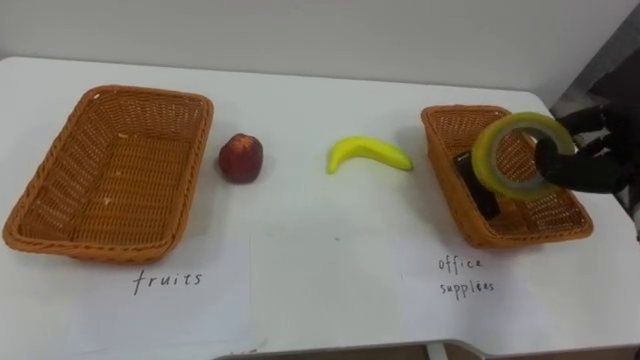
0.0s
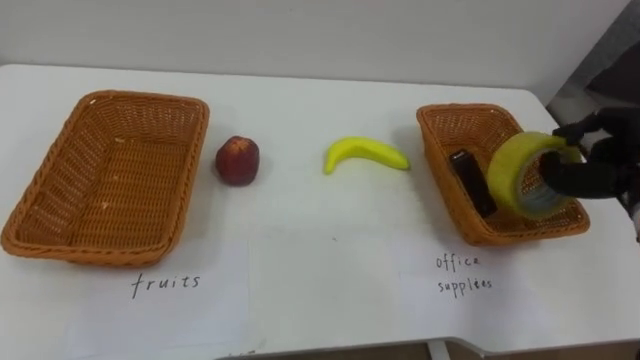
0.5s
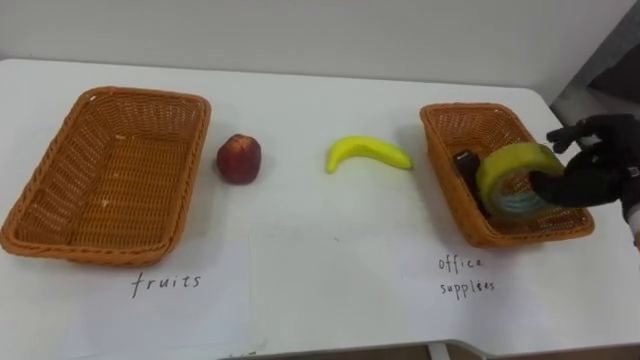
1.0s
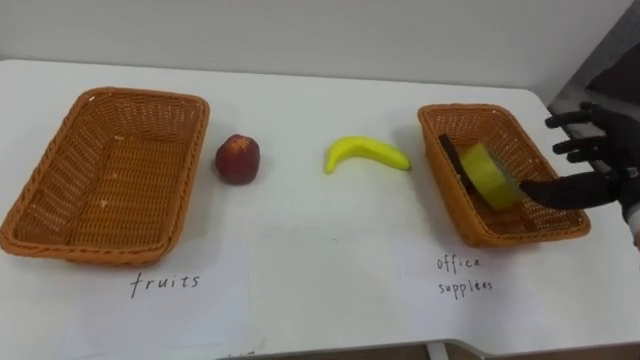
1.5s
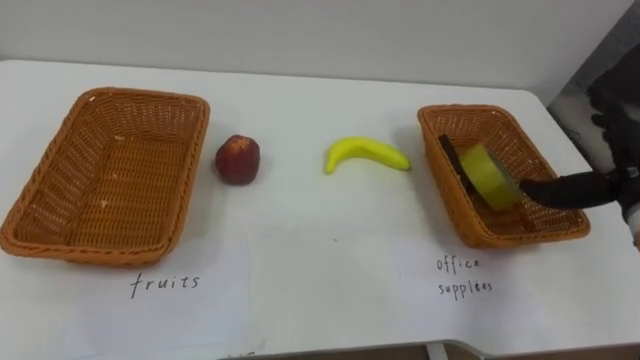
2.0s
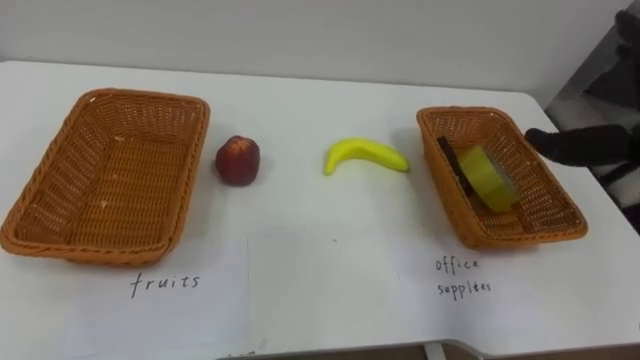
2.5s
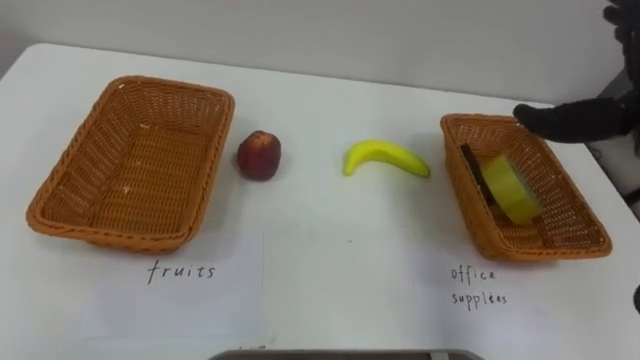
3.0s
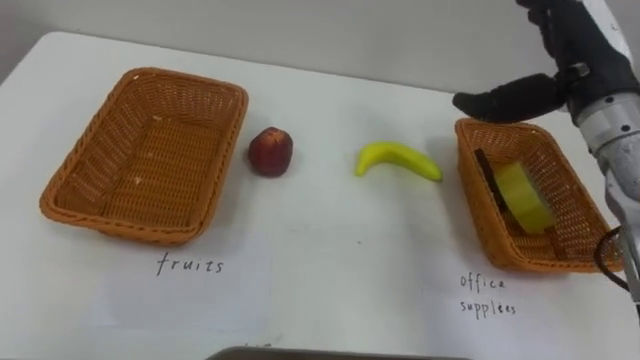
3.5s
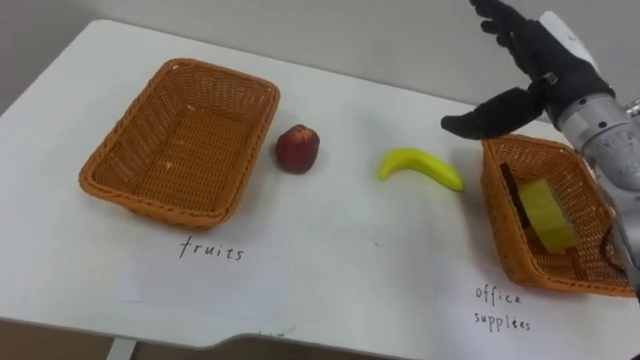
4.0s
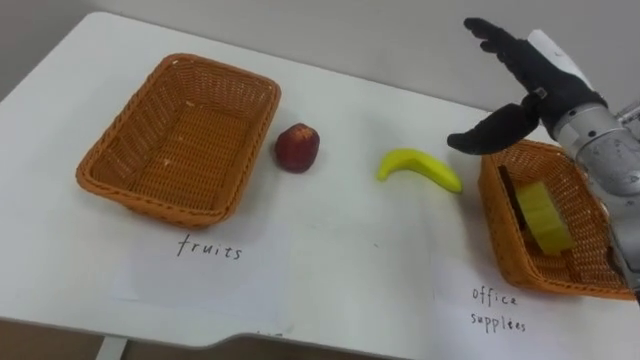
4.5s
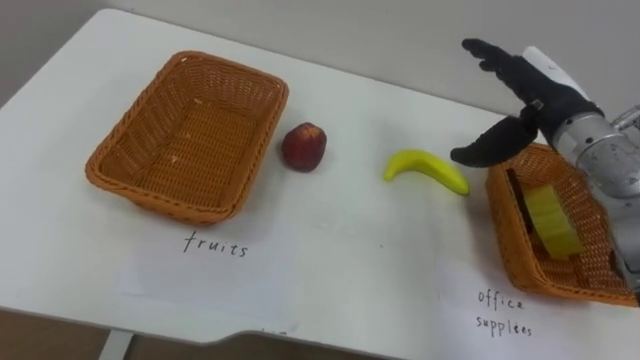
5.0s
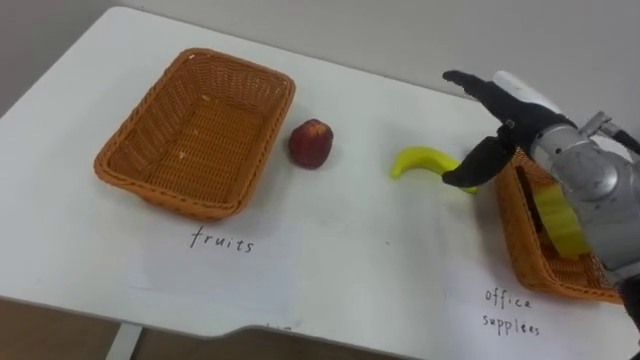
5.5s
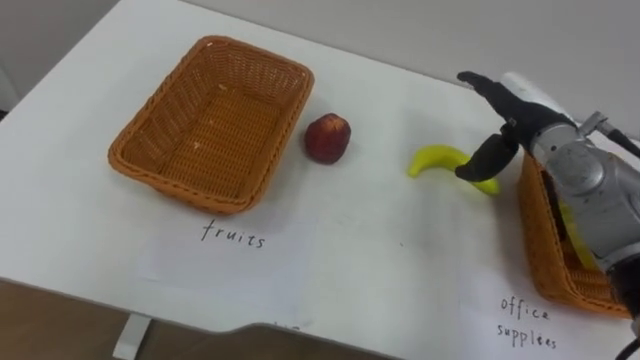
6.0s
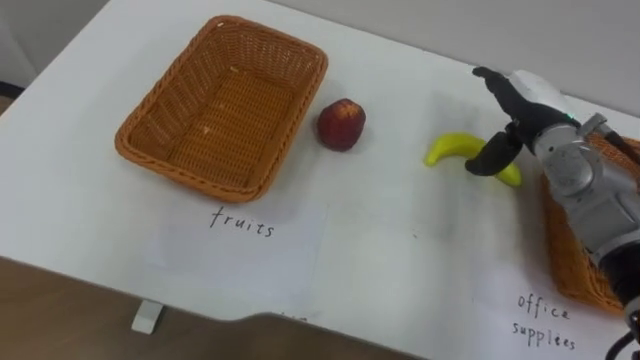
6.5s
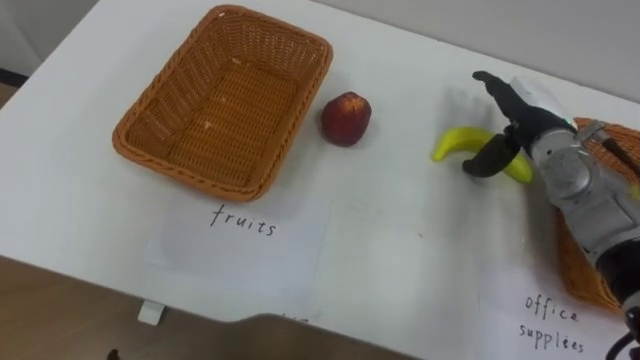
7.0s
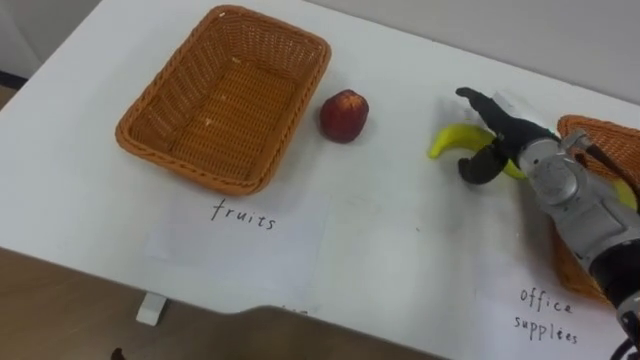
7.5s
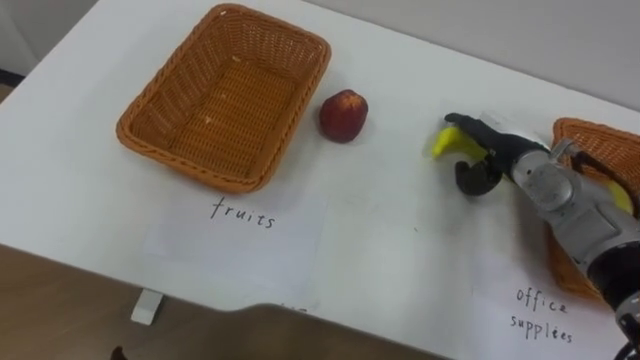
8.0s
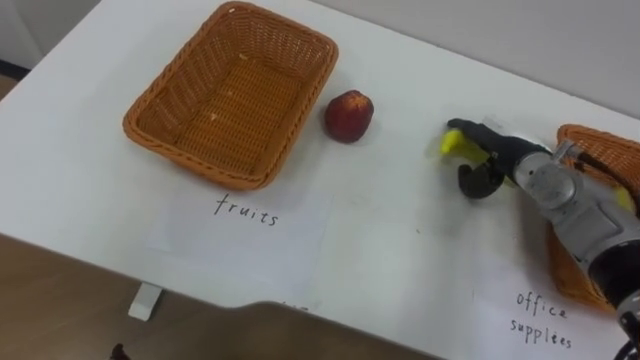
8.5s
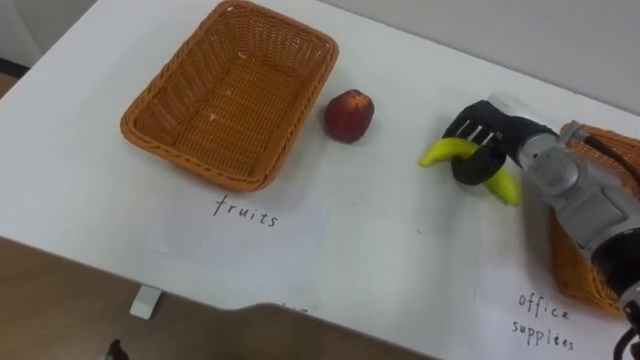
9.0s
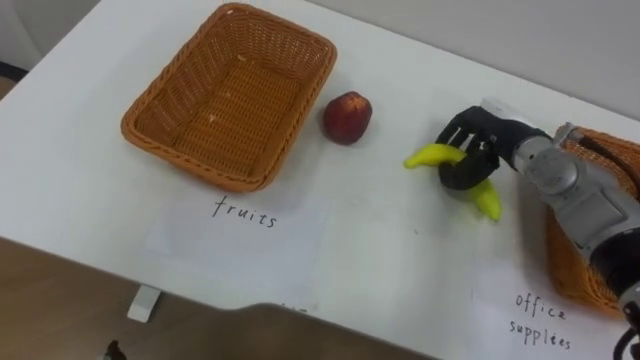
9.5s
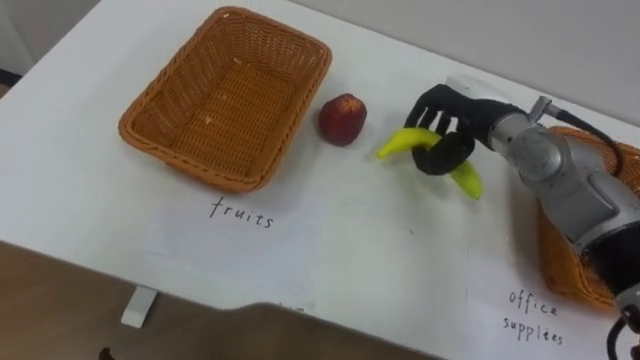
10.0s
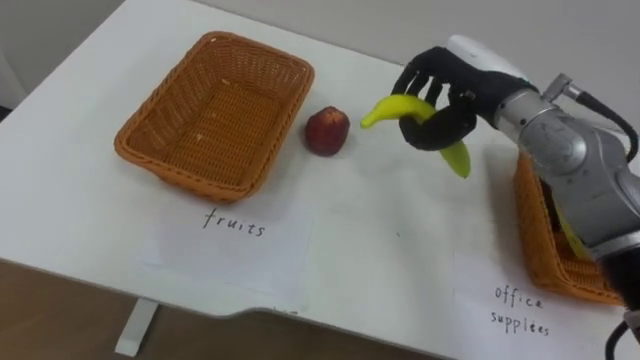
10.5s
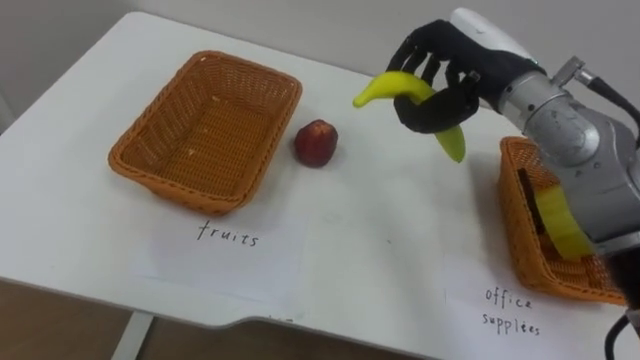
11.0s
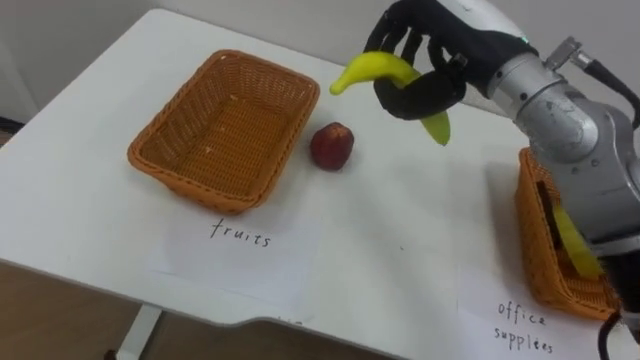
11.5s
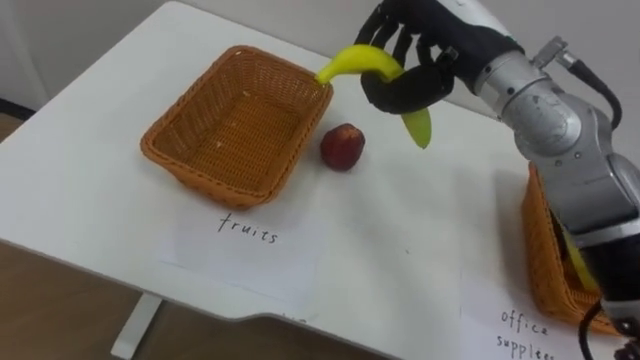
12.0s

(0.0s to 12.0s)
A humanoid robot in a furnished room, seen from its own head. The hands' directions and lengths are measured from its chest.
Task of the whole recording: Separate the items on the table and place them into the two baskets.
4.0s - 6.0s: The right hand shifts about 10 cm downward.
6.0s - 8.0s: The right hand shifts approximately 5 cm downward.
8.0s - 10.0s: The right hand heads upward, covering about 5 cm, and closes up.
10.0s - 12.0s: The right hand travels upward and to the left by some 15 cm.

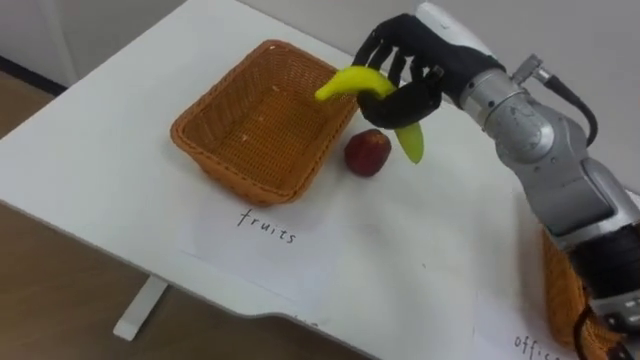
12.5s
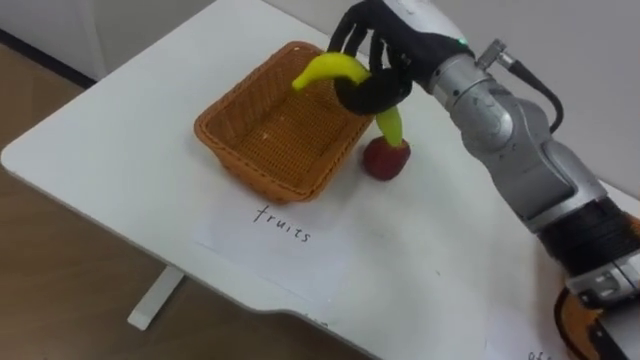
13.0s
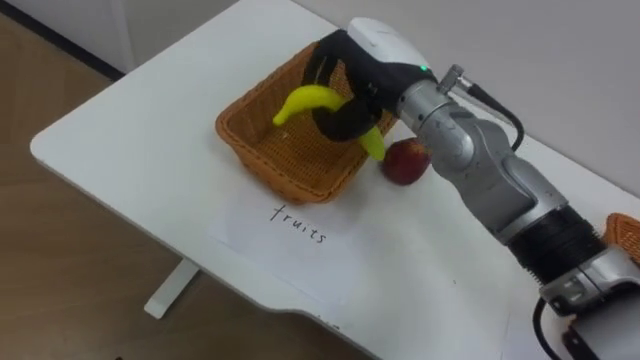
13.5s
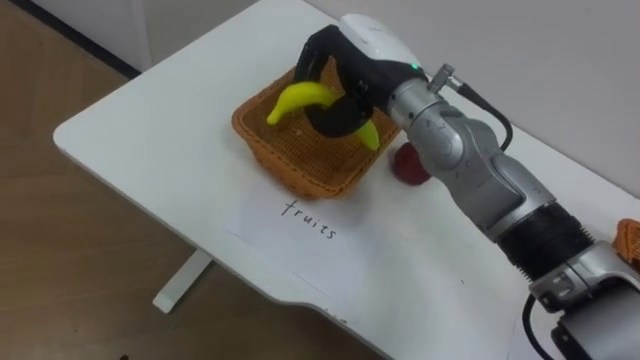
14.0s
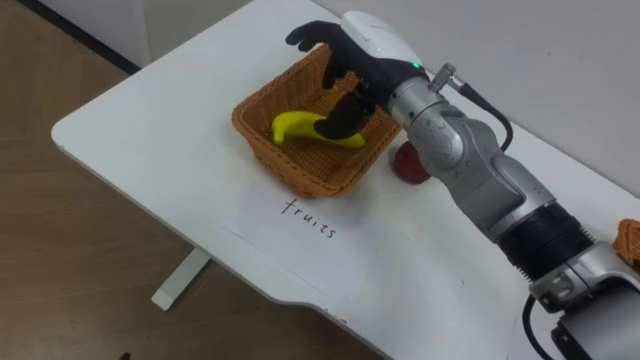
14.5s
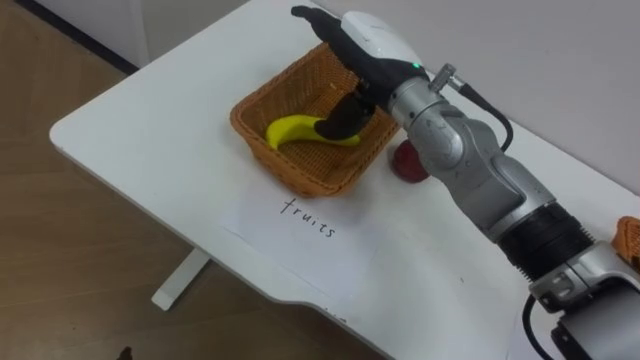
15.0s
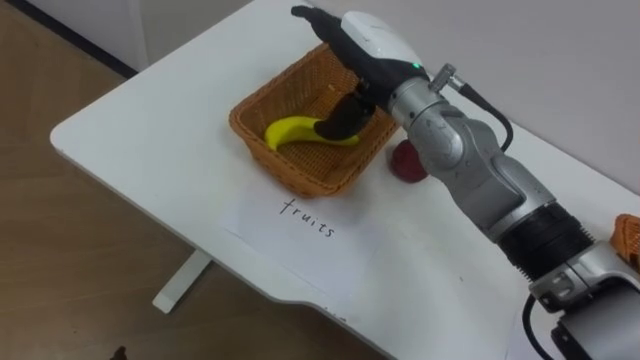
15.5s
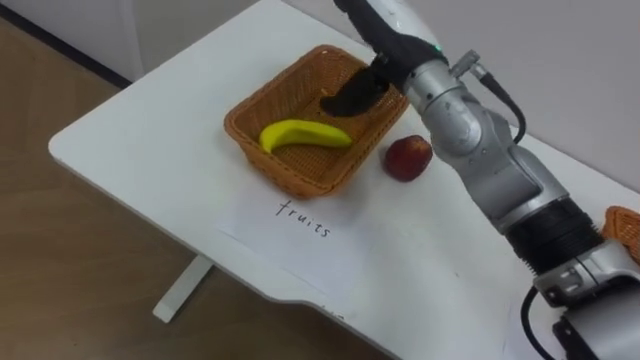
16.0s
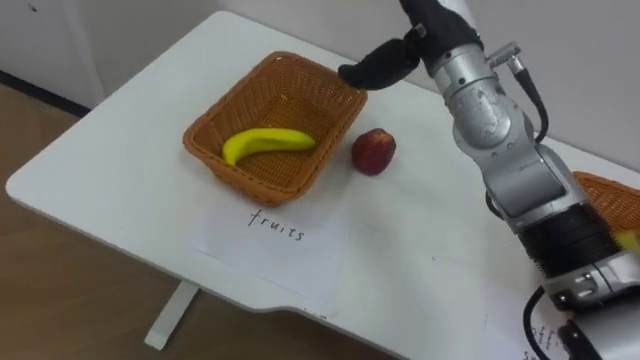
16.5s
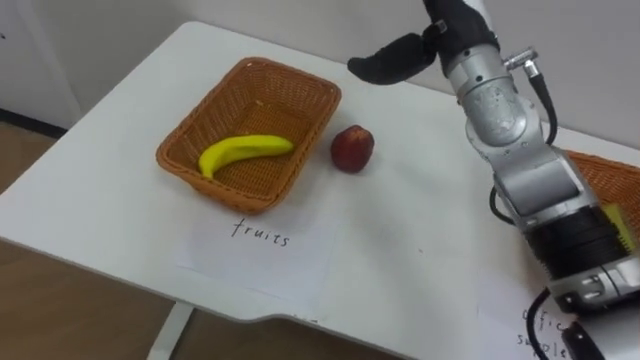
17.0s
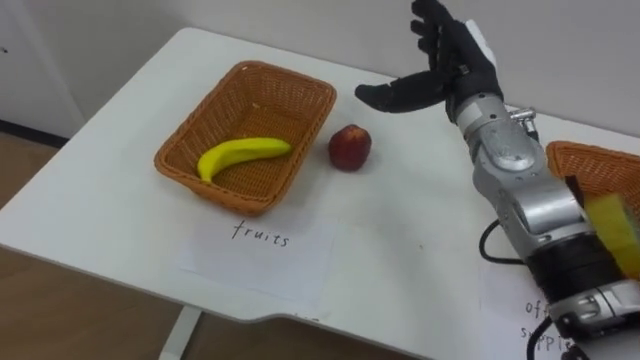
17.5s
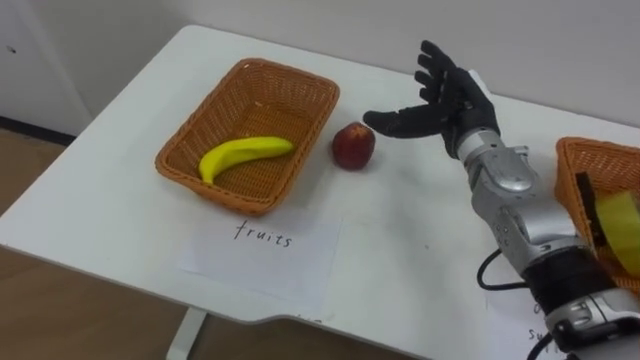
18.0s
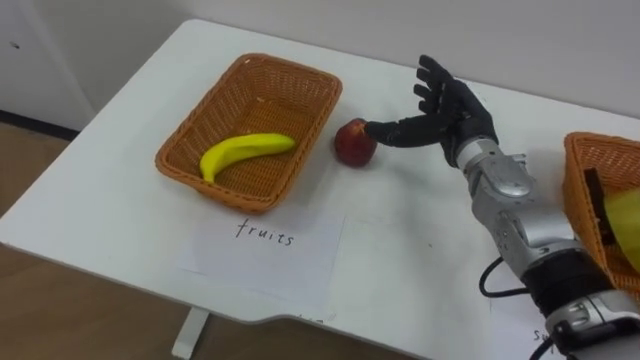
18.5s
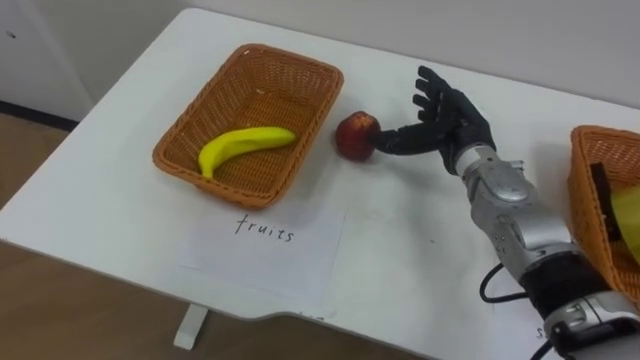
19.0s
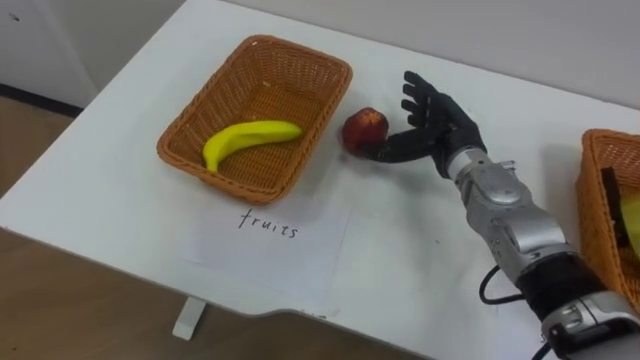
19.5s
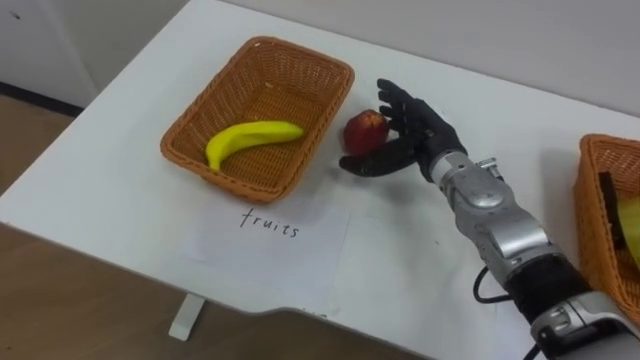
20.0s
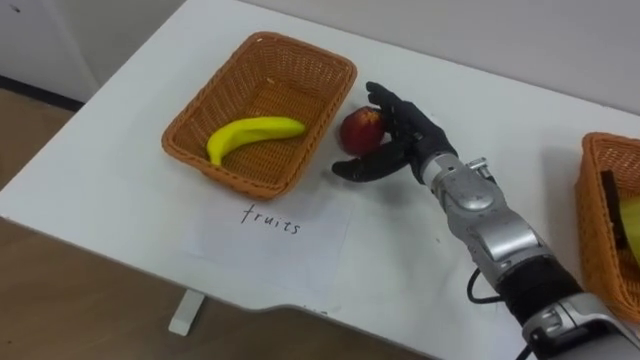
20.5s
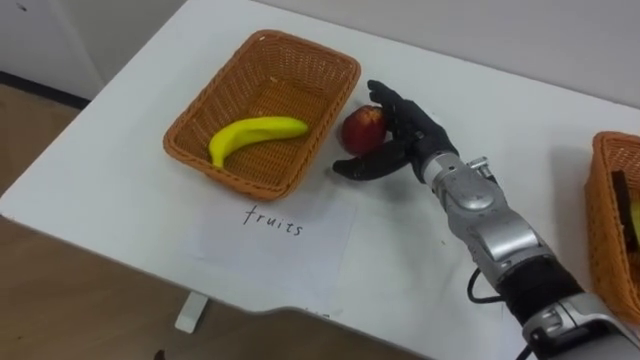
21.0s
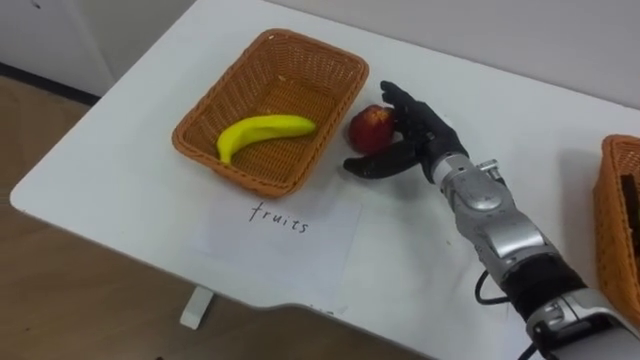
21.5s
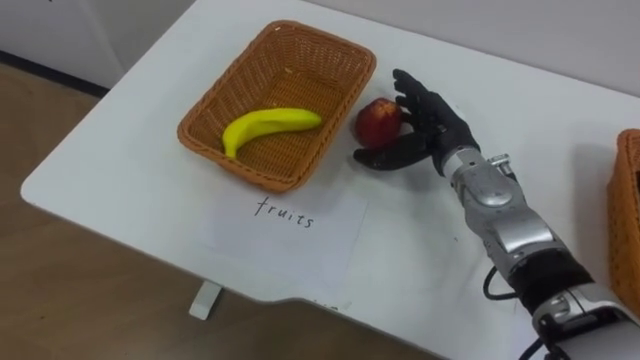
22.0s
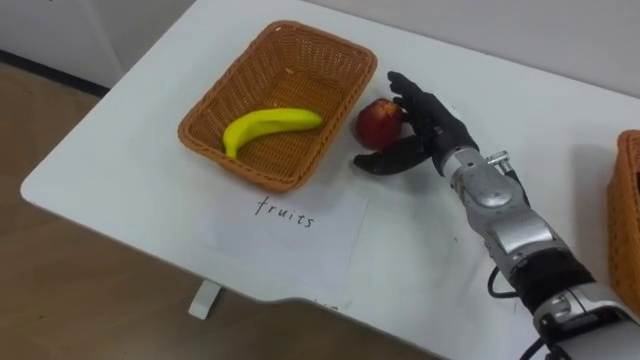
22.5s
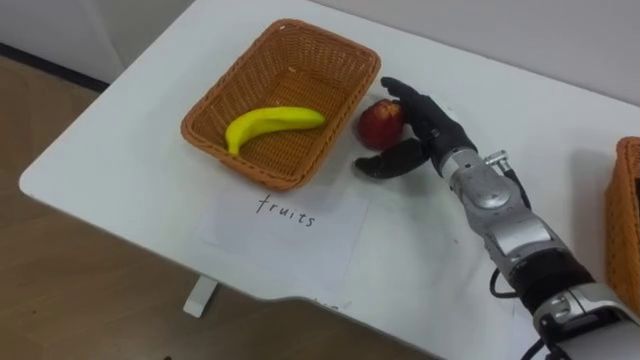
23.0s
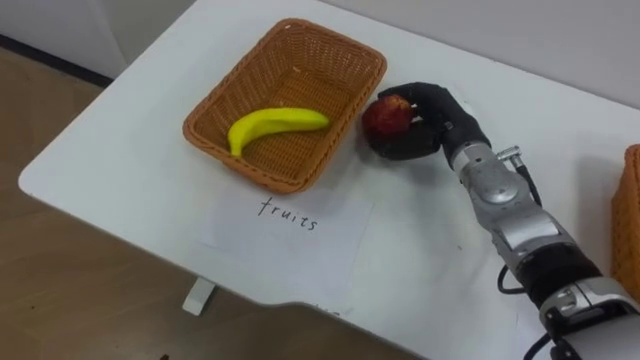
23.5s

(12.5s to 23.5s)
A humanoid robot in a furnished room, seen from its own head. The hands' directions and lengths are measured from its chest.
Task of the whole recording: Separate the items on the table and place them into the two baskets.
12.5s - 14.5s: The right hand shifts about 10 cm to the left, and opens.
14.5s - 16.0s: The right hand opens its fingers.
16.0s - 18.0s: The right hand moves downward and to the right, approximately 15 cm.
18.0s - 20.0s: The right hand moves roughly 5 cm.
21.5s - 23.5s: The right hand closes up.
